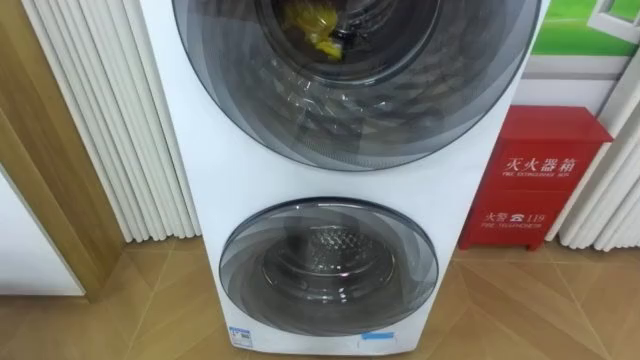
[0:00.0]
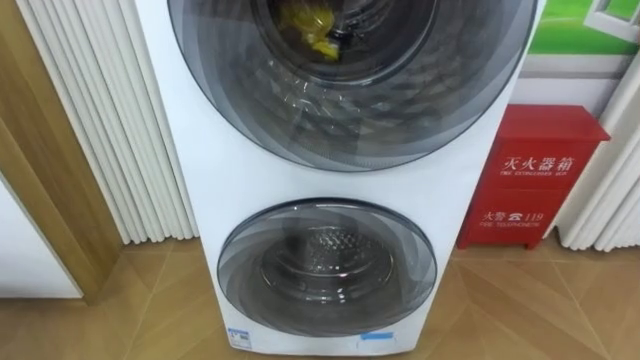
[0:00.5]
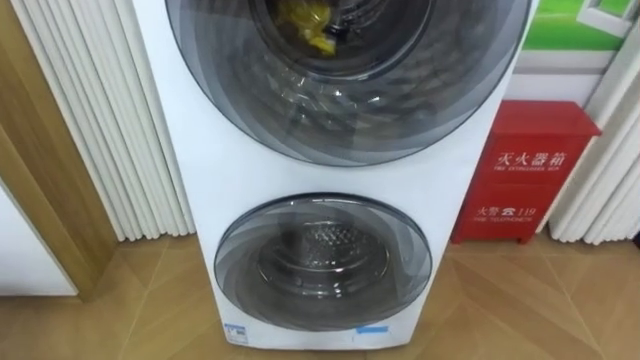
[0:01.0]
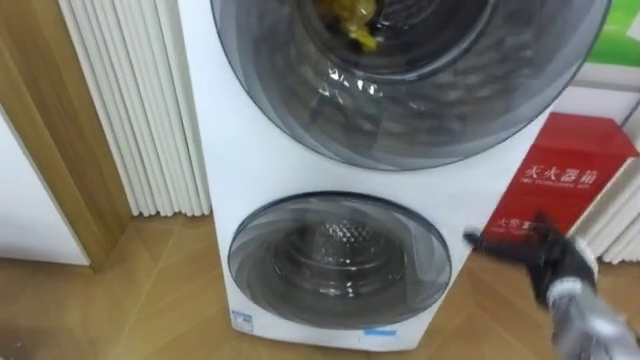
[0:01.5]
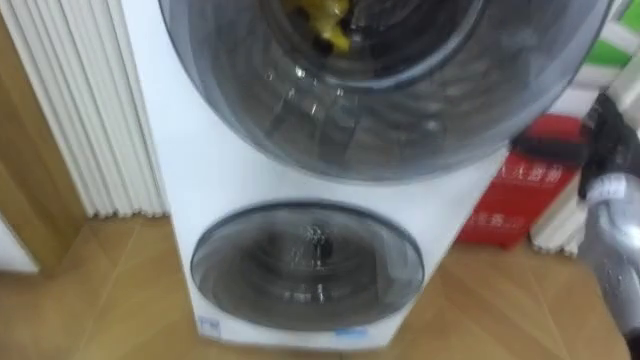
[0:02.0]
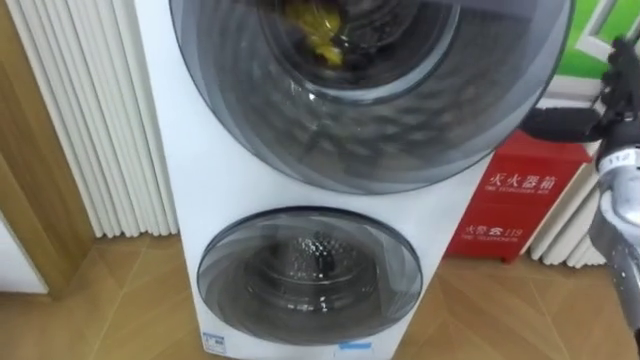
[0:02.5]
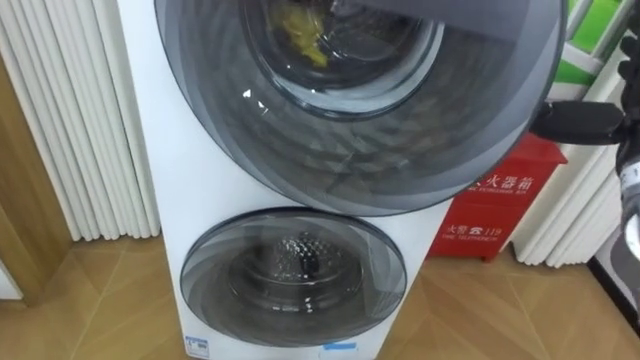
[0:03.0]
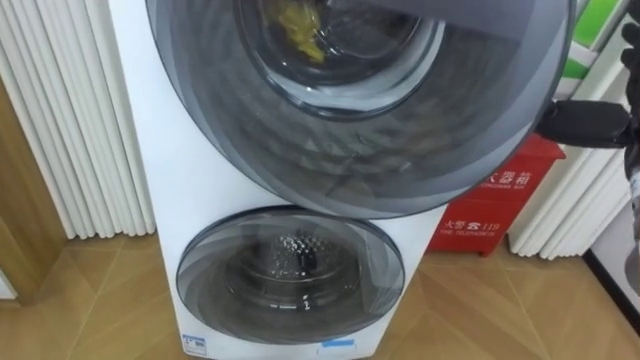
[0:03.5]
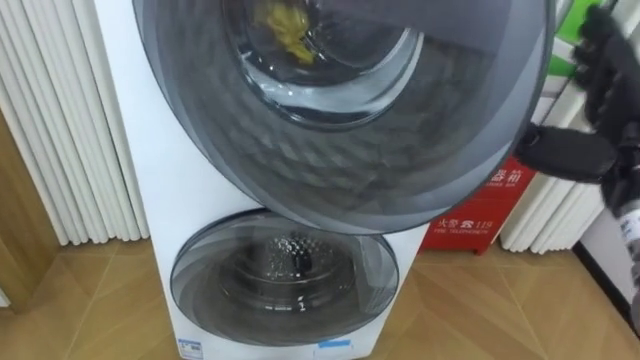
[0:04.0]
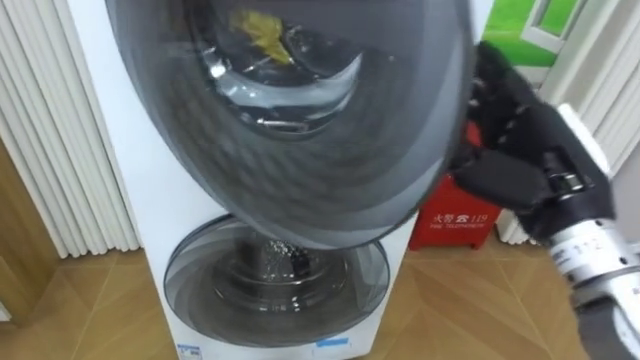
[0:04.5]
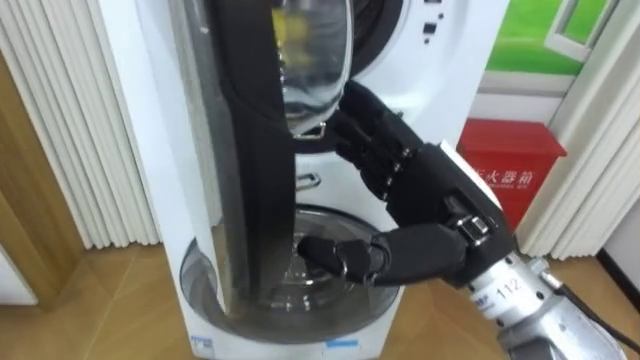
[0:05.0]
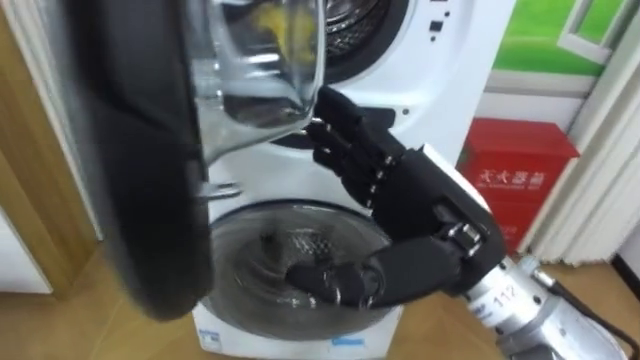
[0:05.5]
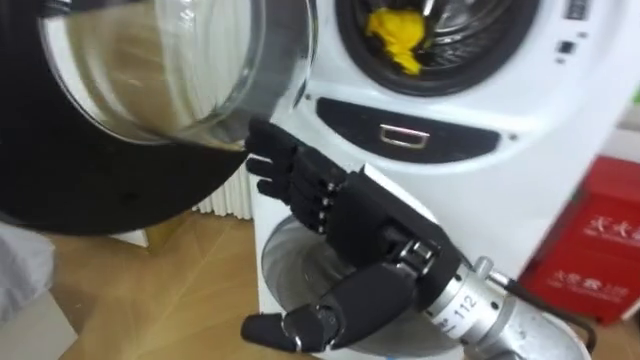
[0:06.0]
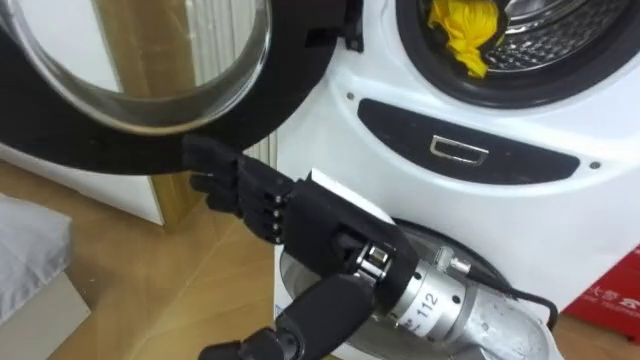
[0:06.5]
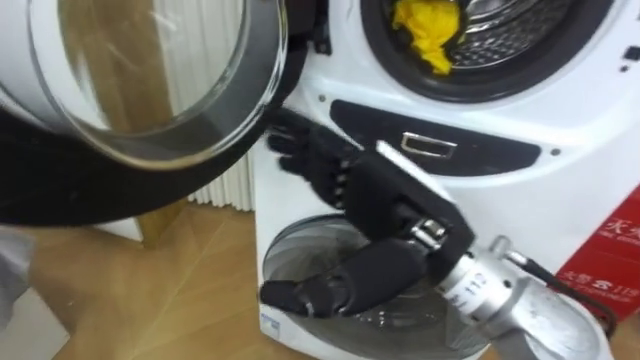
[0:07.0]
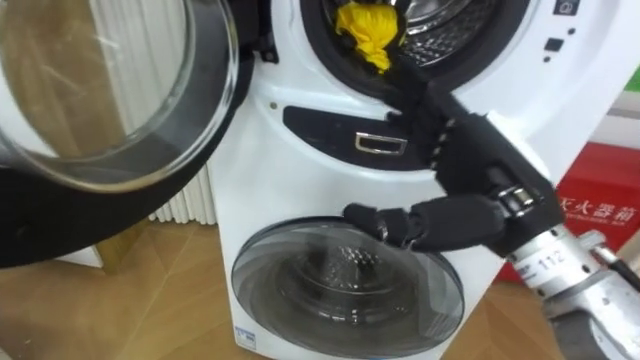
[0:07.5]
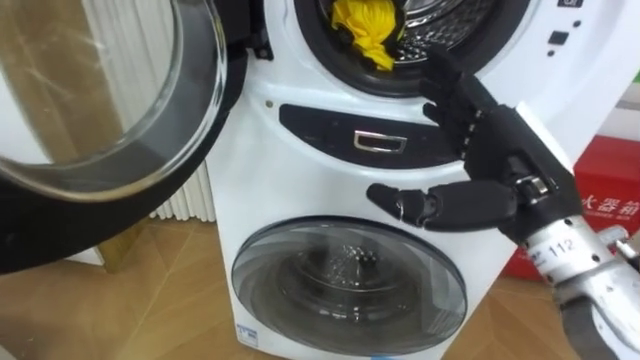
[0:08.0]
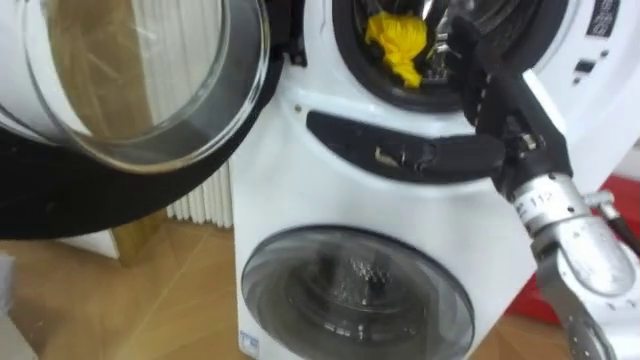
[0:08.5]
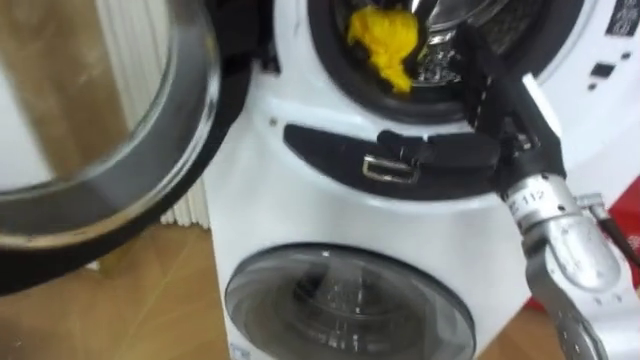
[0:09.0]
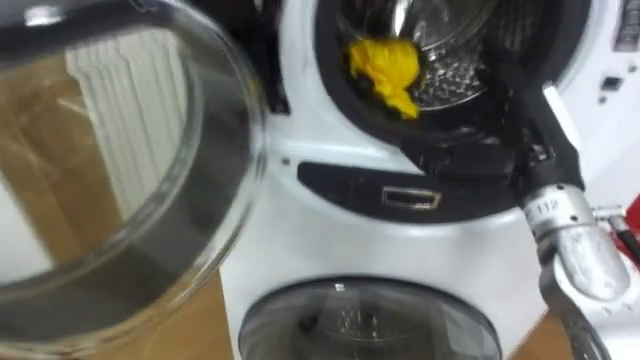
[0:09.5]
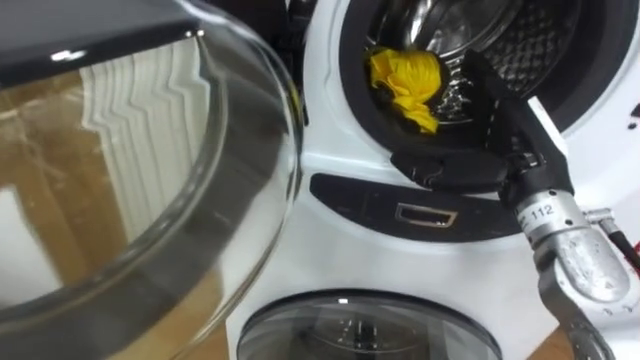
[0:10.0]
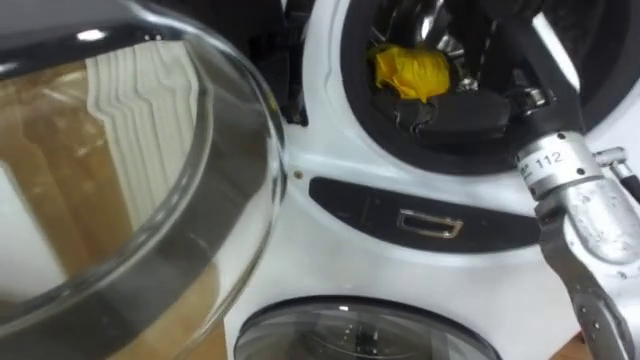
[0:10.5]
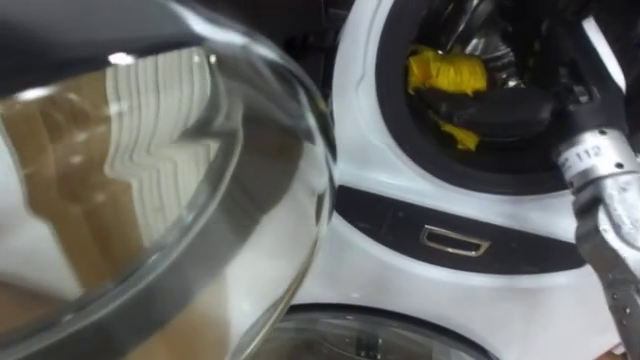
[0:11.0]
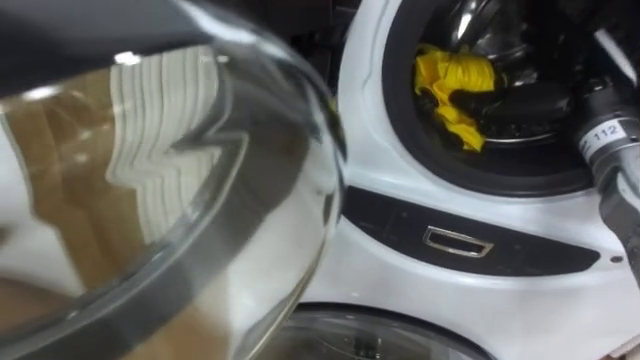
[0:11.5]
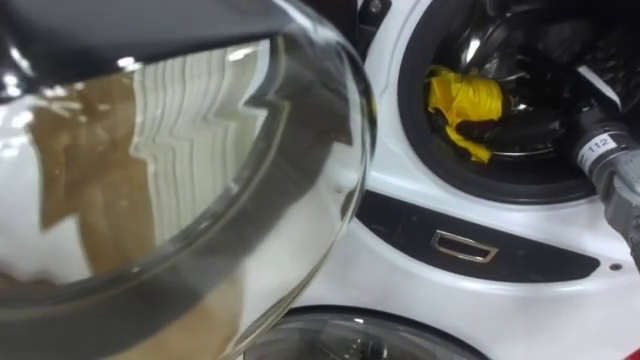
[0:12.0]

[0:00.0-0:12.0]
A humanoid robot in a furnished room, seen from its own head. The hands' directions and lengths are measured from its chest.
Task of the whole recording: Open the washing machine door, take out the yellow clothes, place them in the box on the right, and close the washing machine door.
0:04.0 to 0:06.0: The right hand shifts approximately 20 cm to the left.
0:06.0 to 0:08.0: The right hand shifts about 15 cm to the right and forward.
0:08.0 to 0:10.0: The right hand shifts by roughly 5 cm.
0:10.0 to 0:12.0: The right hand goes approximately 10 cm to the right and forward.

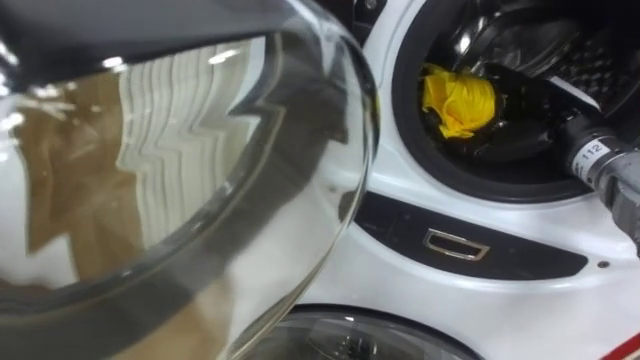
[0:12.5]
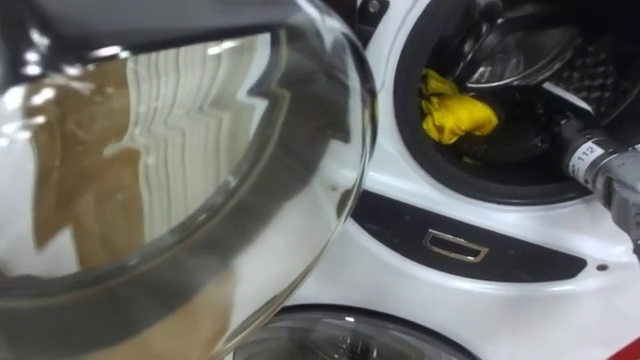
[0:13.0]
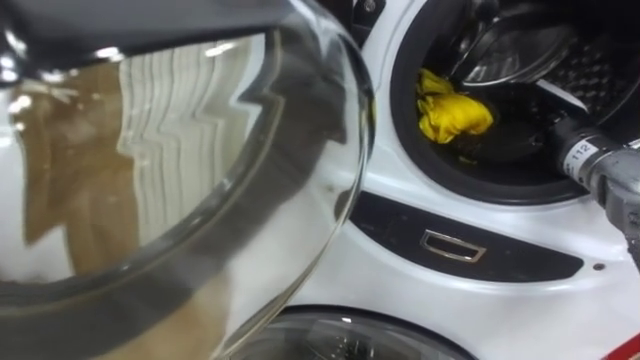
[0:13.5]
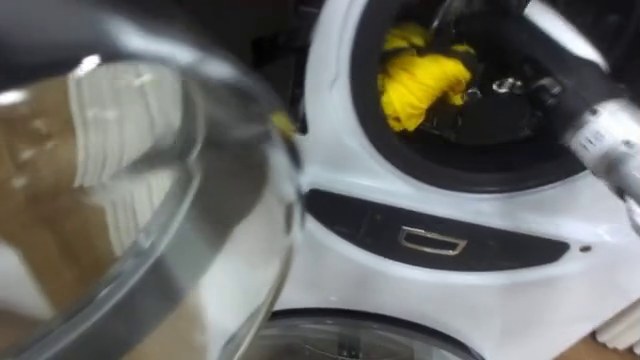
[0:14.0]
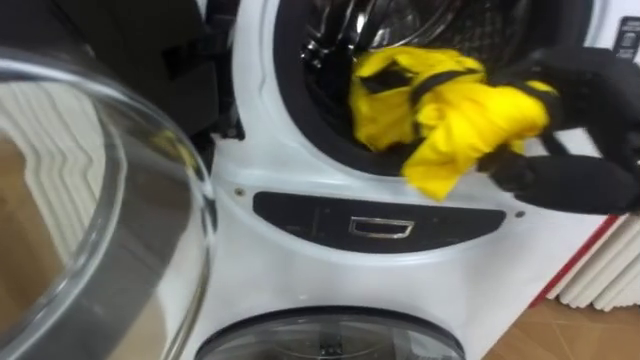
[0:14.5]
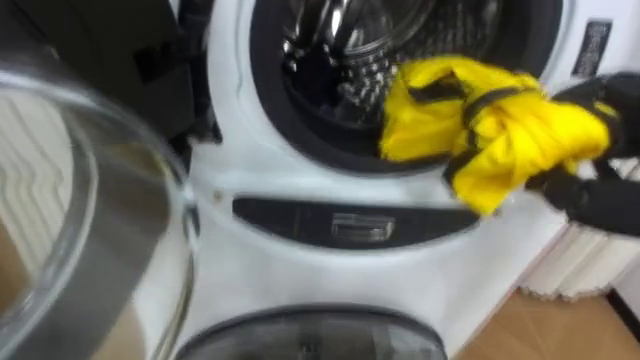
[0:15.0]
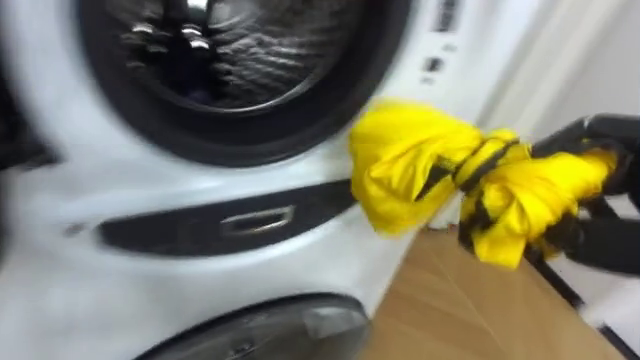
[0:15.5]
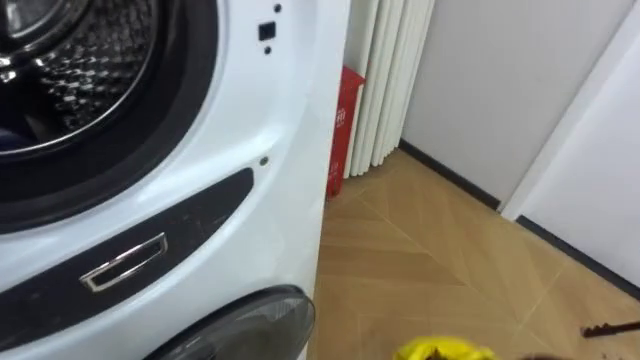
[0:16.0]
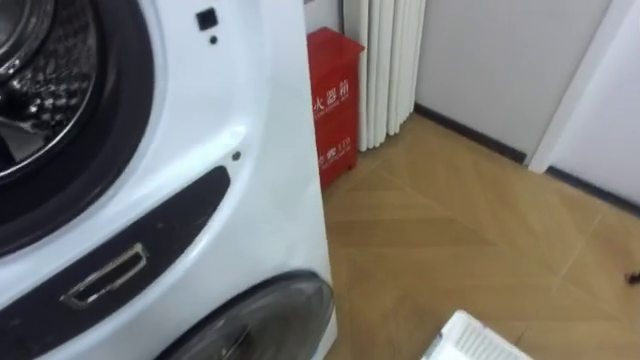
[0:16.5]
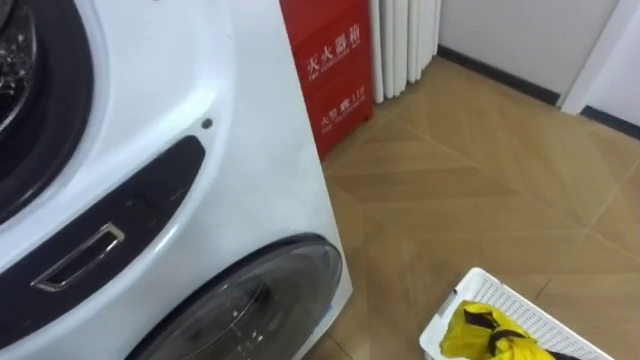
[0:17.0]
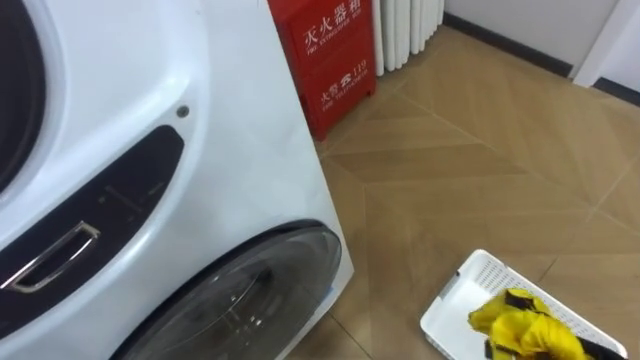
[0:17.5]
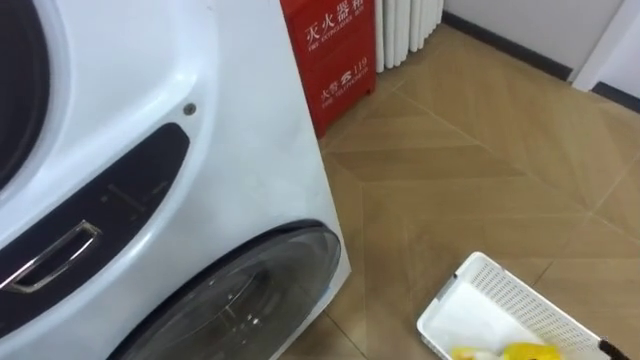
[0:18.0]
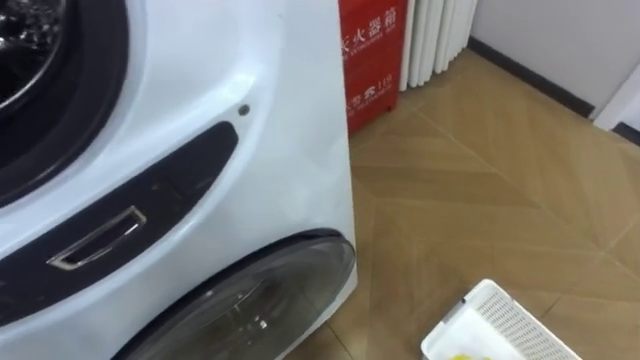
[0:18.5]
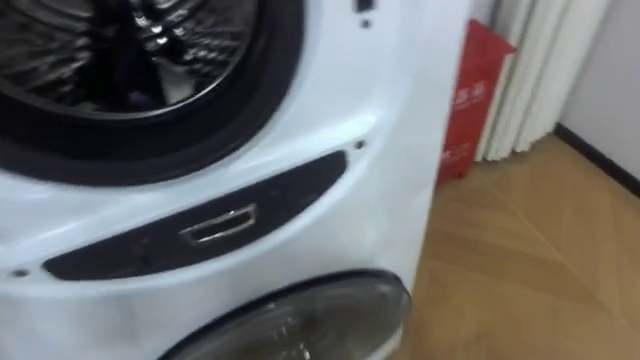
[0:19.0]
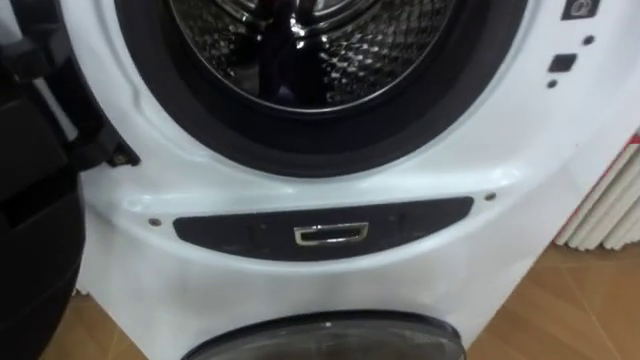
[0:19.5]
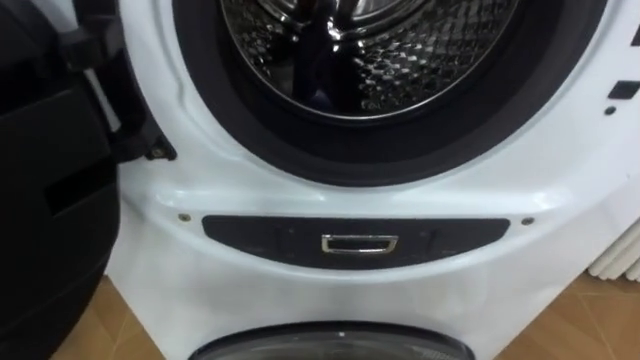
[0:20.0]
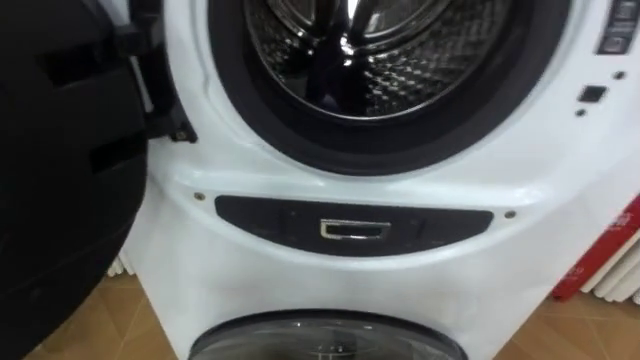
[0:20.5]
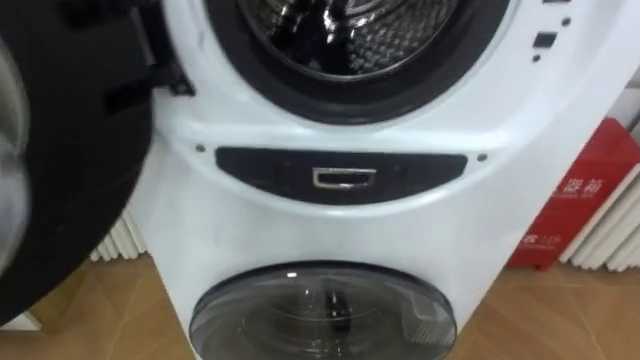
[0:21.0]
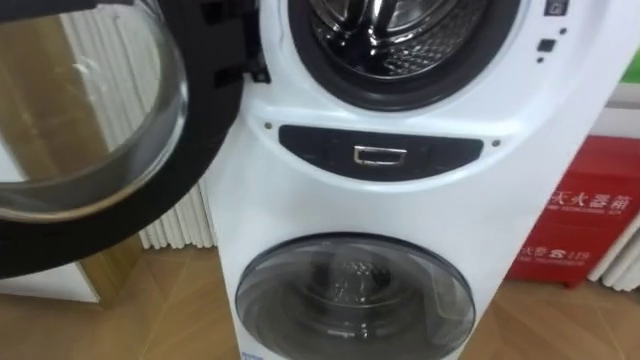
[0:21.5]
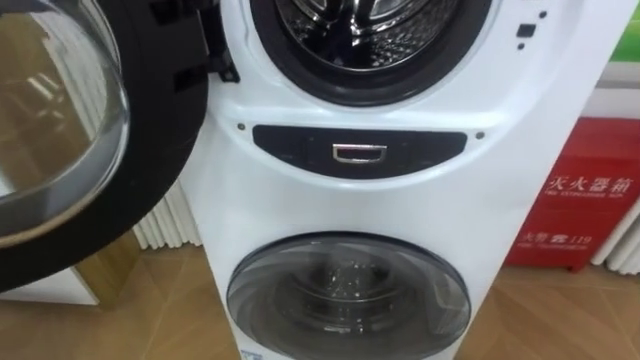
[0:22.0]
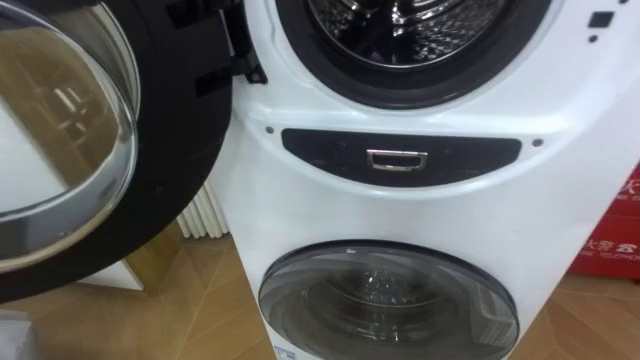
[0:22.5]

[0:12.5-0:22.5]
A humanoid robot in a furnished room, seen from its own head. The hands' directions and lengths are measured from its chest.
Task of the whole recording: Open the washing machine door, take out the yellow clothes, place them in the box on the right, and close the washing machine door.
0:12.5 to 0:14.5: The right hand shifts roughly 15 cm backward and upward, and closes its fingers.
0:14.5 to 0:16.5: The robot's body swings about 30 degrees to its right.
